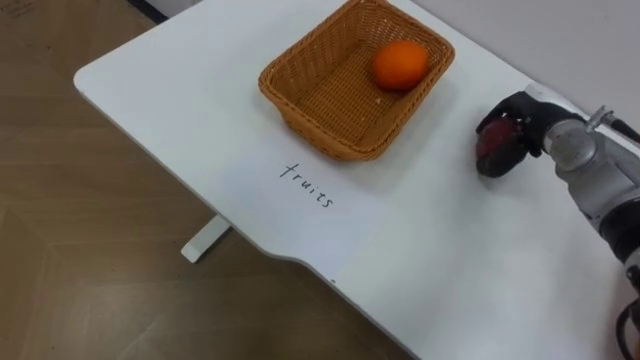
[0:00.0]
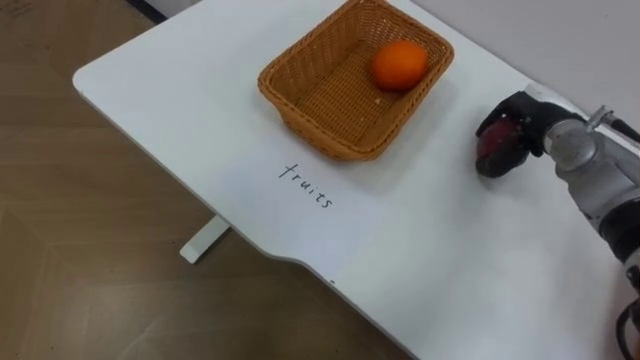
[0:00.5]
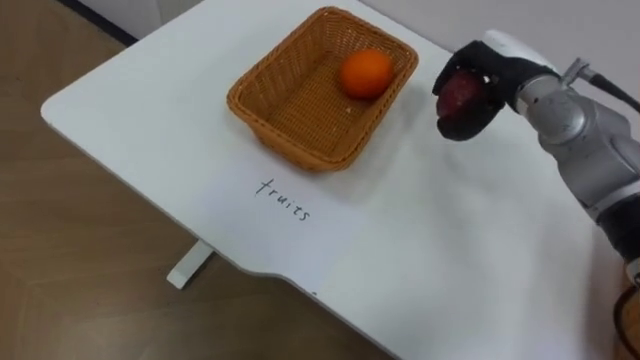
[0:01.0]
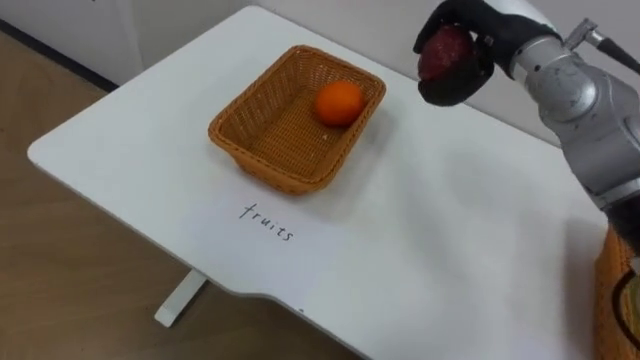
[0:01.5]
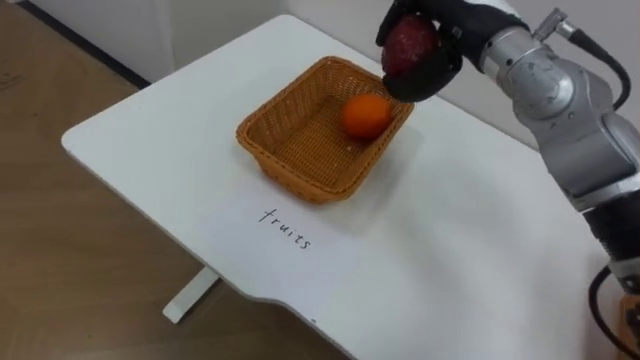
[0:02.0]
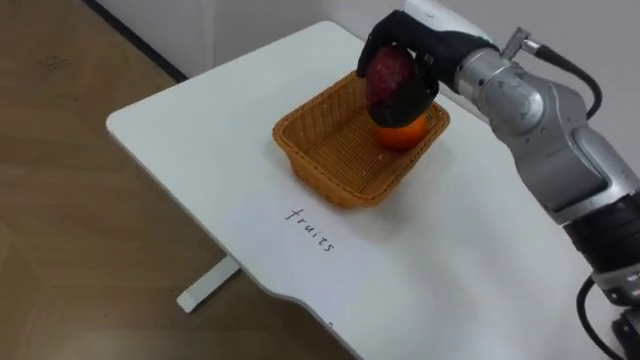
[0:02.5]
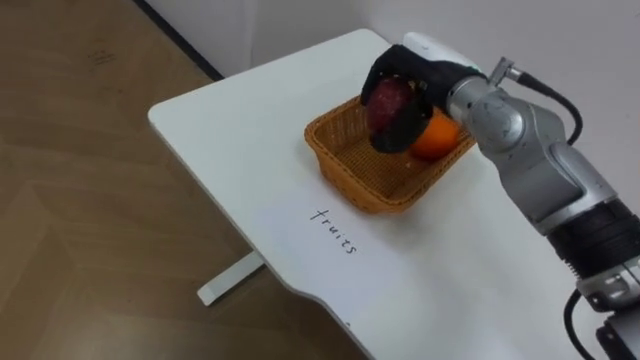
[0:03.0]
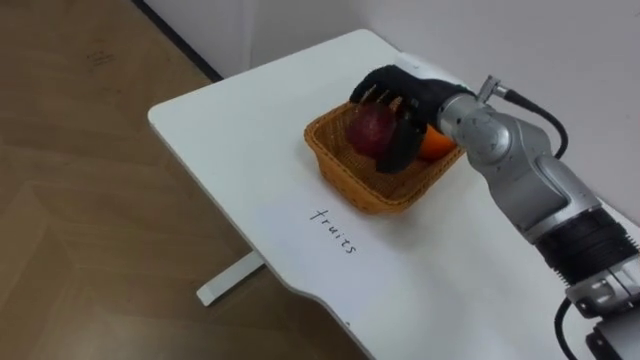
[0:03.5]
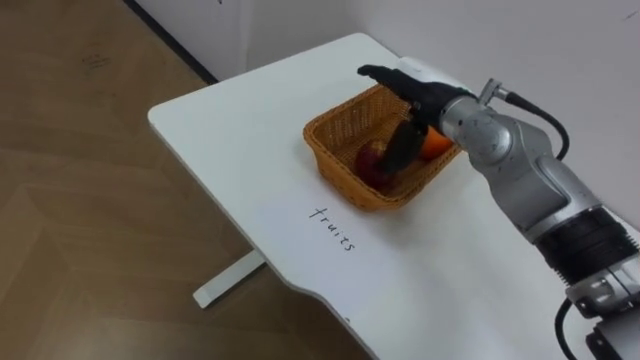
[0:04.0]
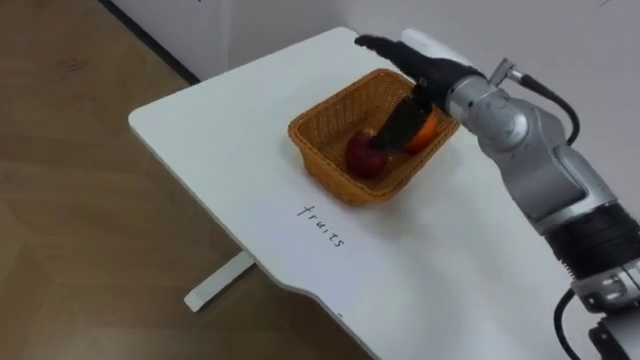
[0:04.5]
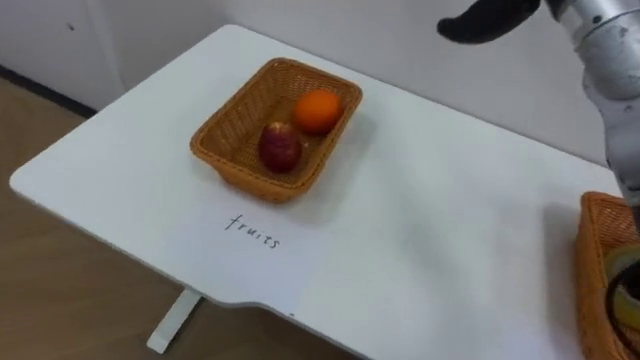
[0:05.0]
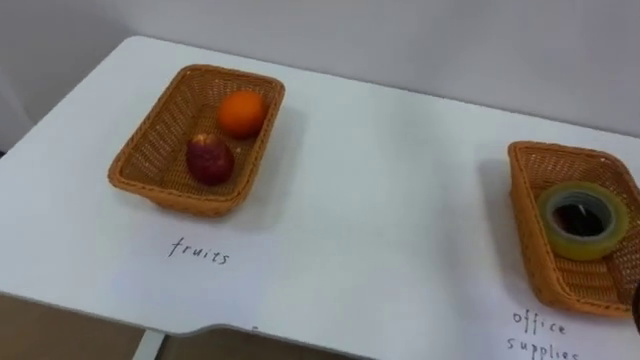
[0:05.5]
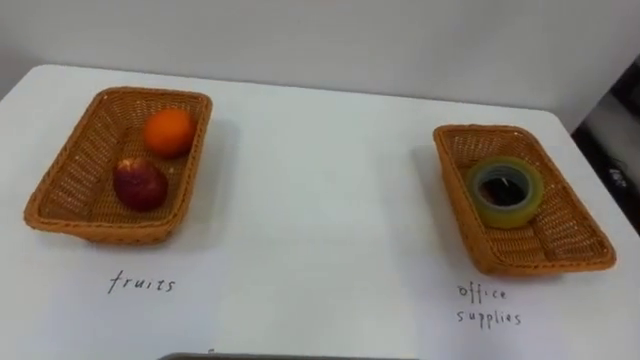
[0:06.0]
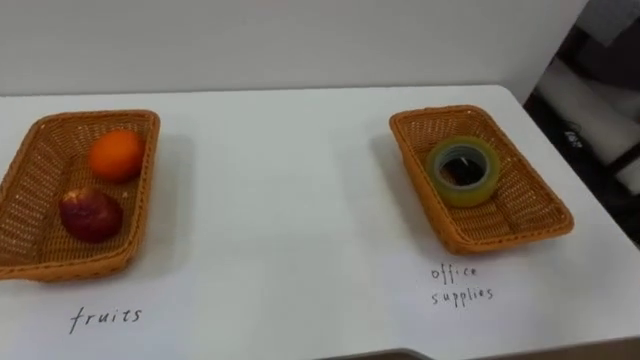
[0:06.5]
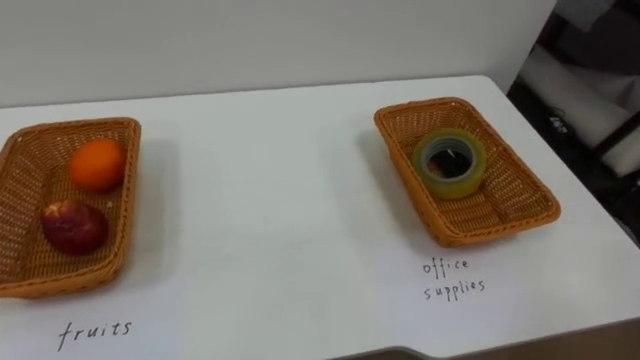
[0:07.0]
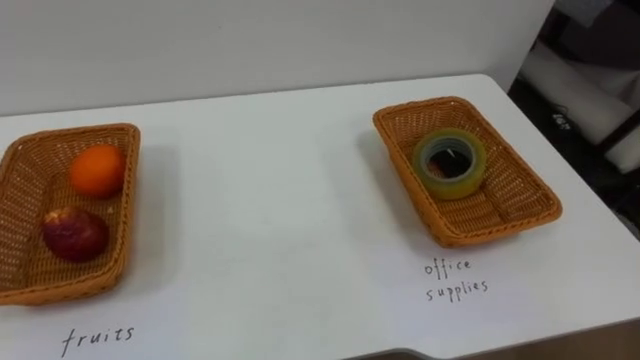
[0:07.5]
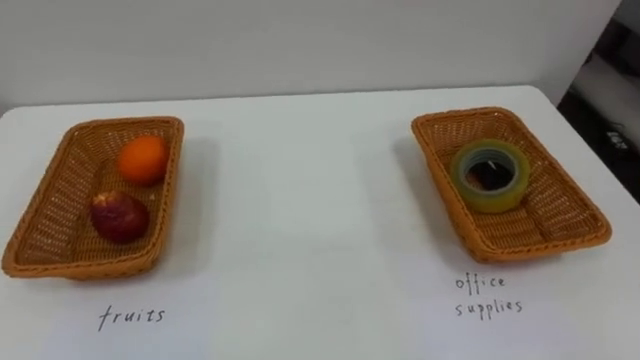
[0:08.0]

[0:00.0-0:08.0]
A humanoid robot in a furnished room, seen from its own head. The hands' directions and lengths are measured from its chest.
Task of the whole recording: Separate the items on the table and place them into the two baskets.
0:00.0 to 0:02.0: The right hand is displaced upward and to the left by some 20 cm.
0:02.0 to 0:04.0: The right hand moves downward, some 10 cm, and opens.

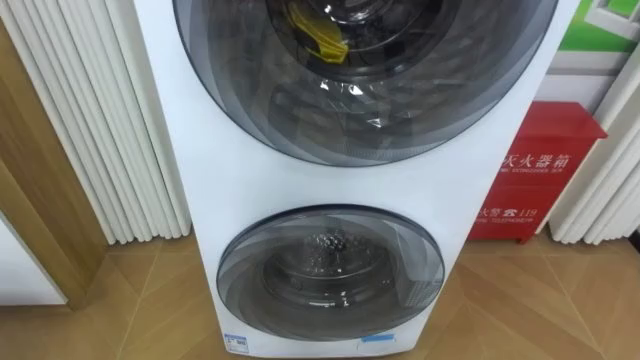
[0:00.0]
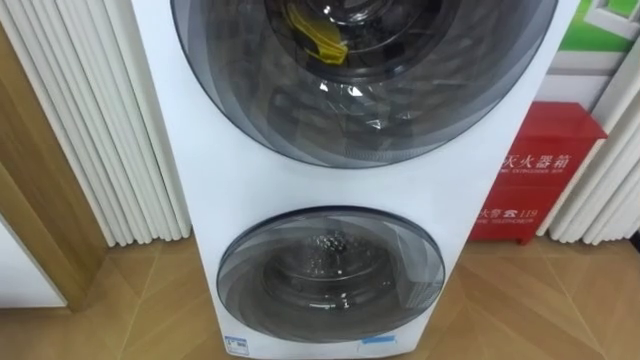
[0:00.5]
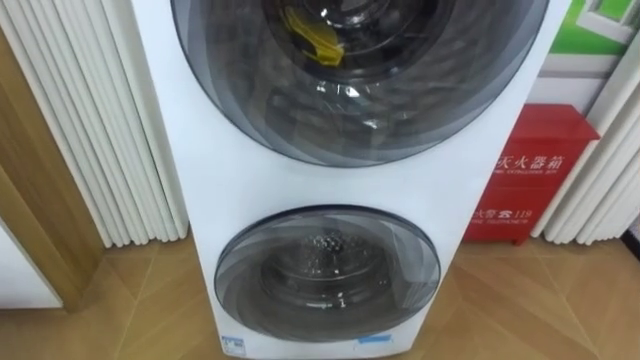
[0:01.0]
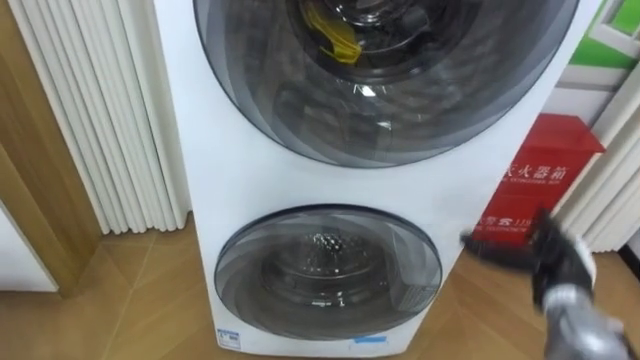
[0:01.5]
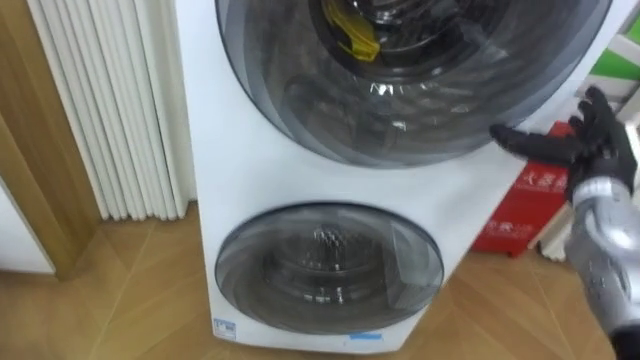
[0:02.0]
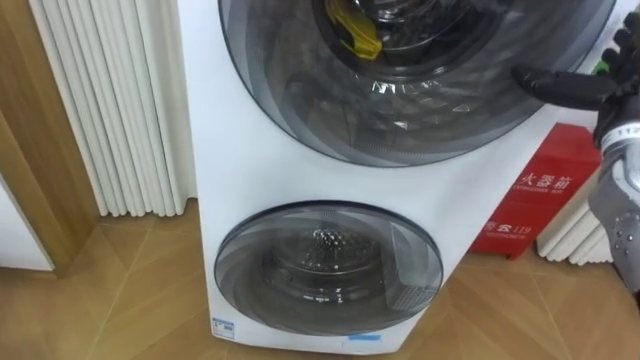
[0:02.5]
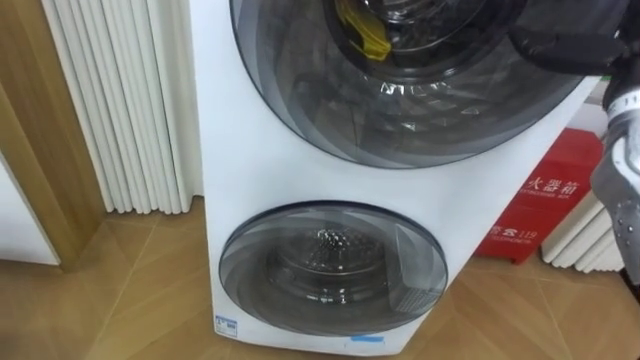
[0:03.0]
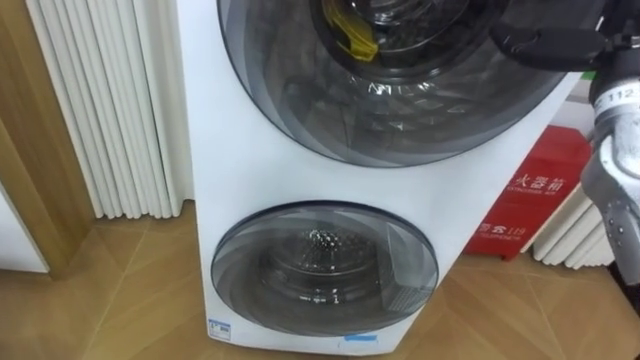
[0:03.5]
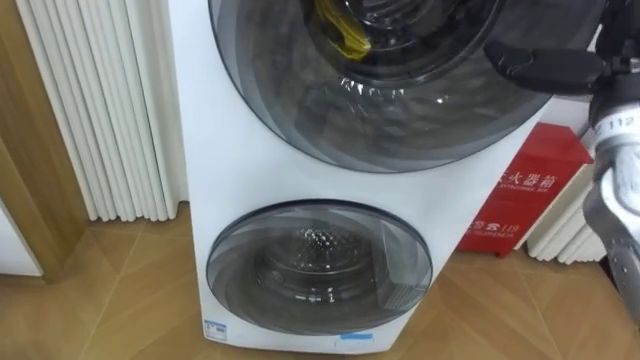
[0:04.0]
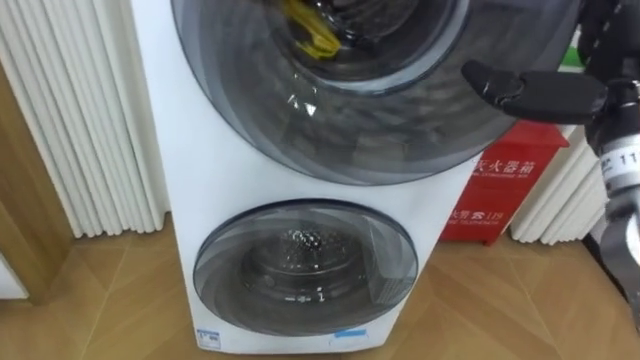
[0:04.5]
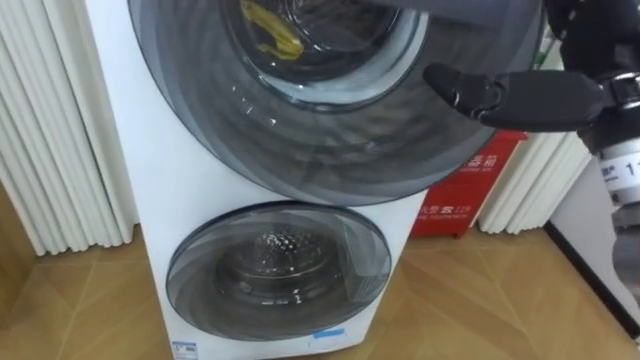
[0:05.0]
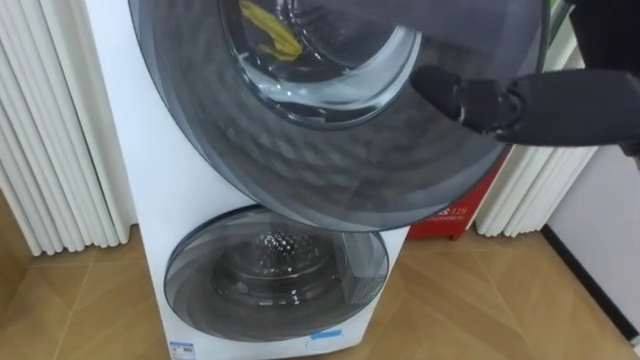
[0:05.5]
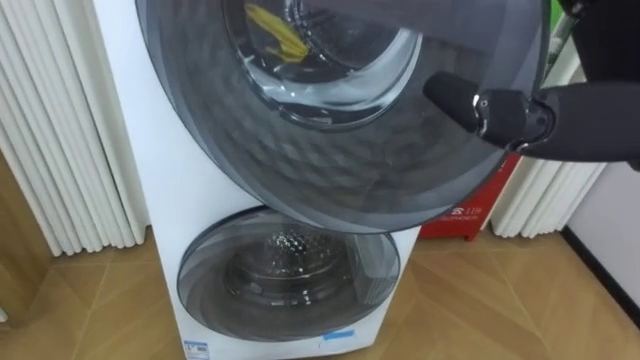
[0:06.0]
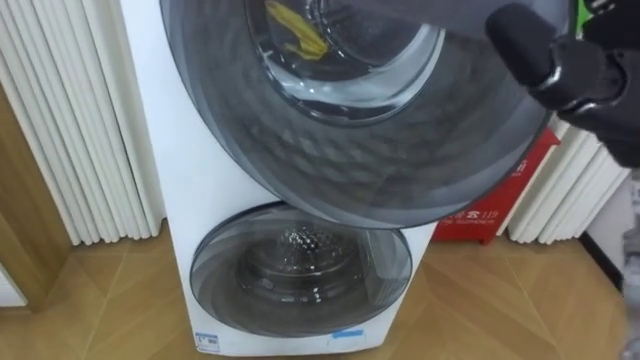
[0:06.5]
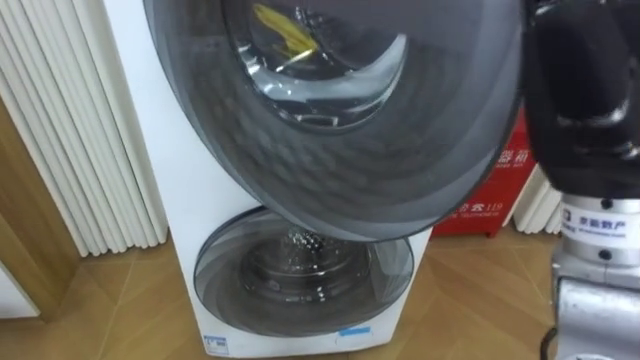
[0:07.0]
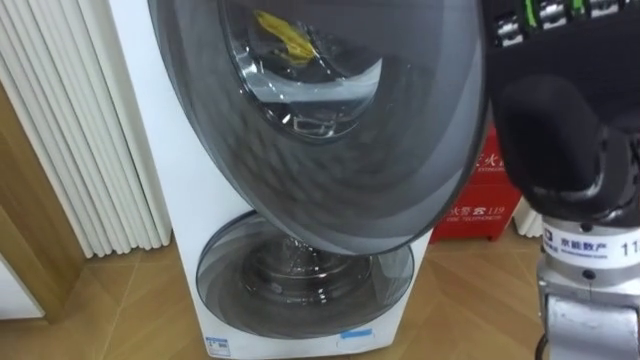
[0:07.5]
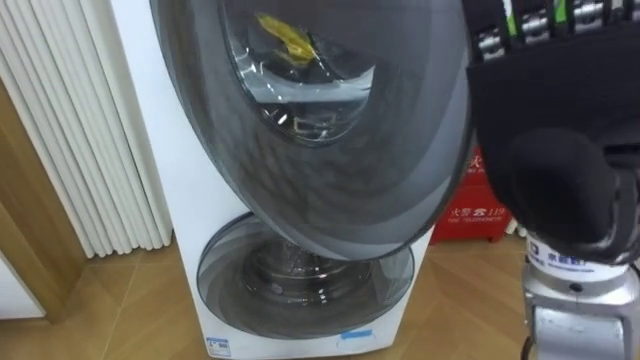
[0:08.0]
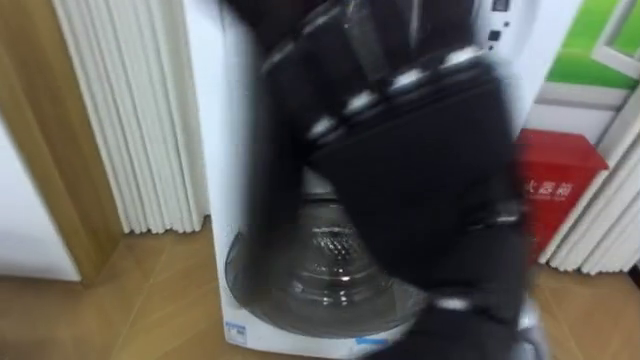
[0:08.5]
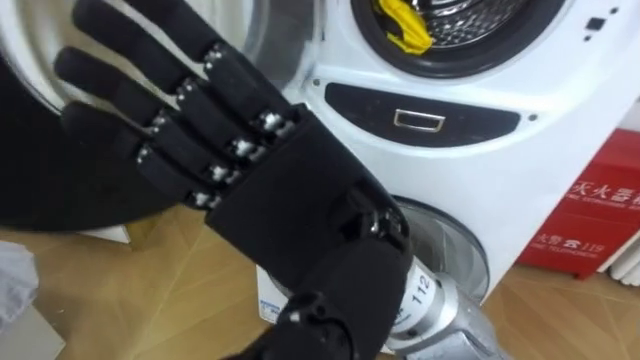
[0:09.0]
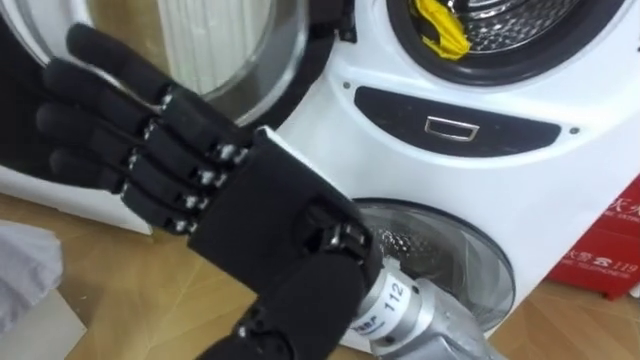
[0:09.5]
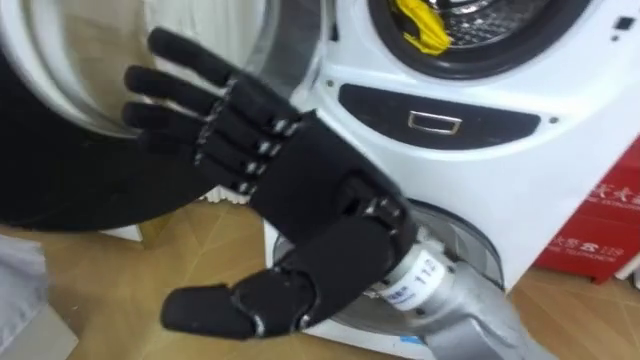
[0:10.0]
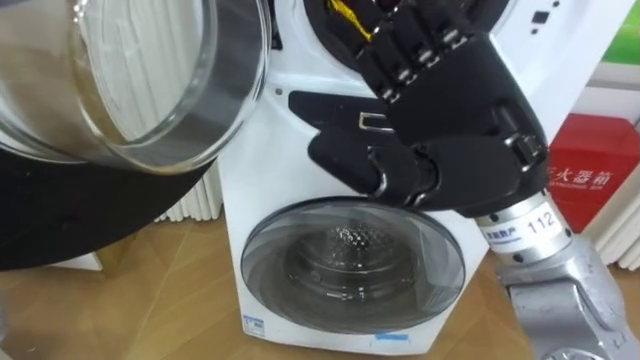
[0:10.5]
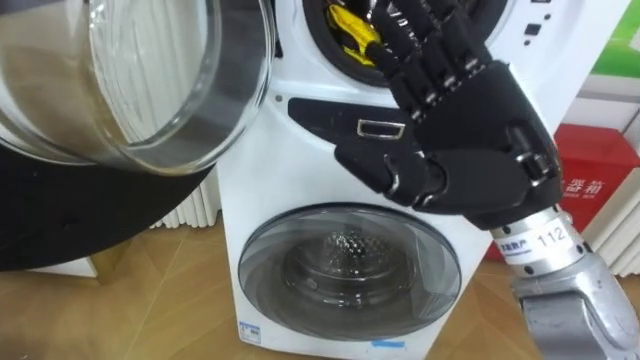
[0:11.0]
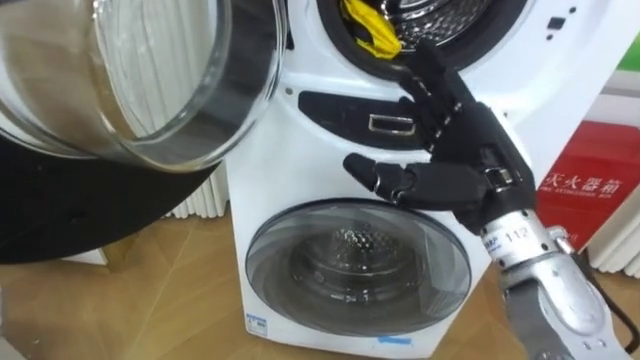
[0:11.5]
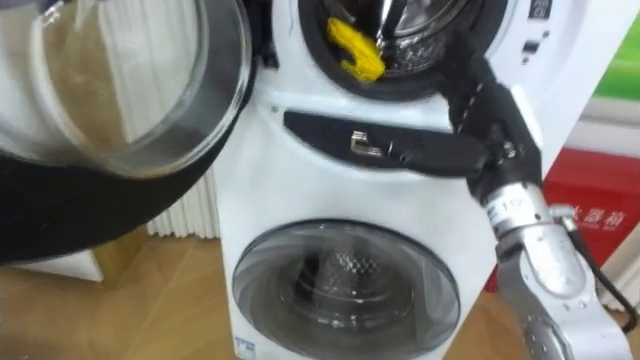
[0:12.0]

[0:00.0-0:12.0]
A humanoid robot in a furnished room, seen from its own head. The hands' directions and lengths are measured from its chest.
Task of the whole recording: Open the washing machine door, take out the yellow clothes, place them in the box on the right, and close the washing machine door.
0:02.0 to 0:04.0: The right hand is displaced upward by approximately 10 cm.
0:04.0 to 0:06.0: The right hand shifts some 15 cm backward, to the left and upward.
0:08.0 to 0:10.0: The right hand travels to the left and downward by some 15 cm.
0:10.0 to 0:12.0: The right hand travels to the right and forward by some 20 cm.
